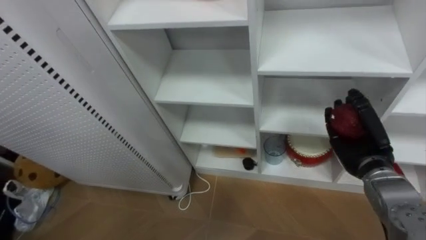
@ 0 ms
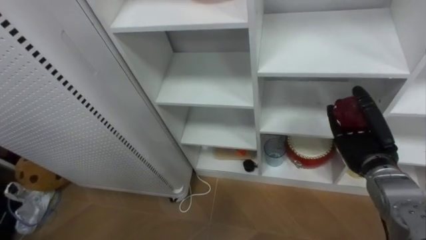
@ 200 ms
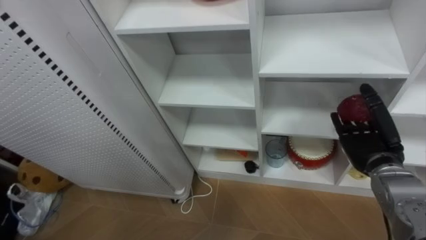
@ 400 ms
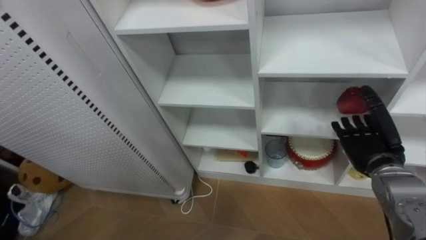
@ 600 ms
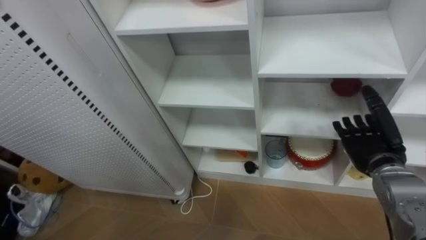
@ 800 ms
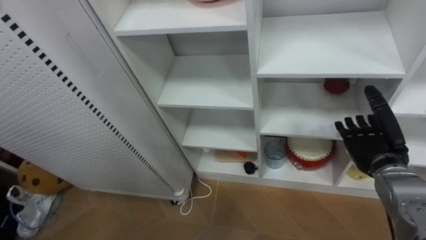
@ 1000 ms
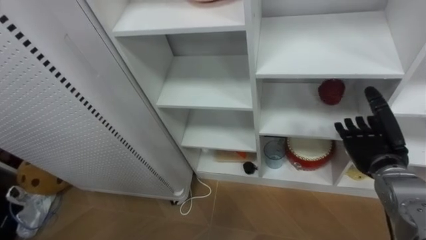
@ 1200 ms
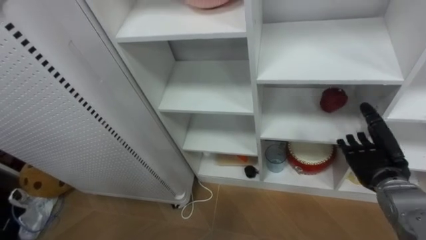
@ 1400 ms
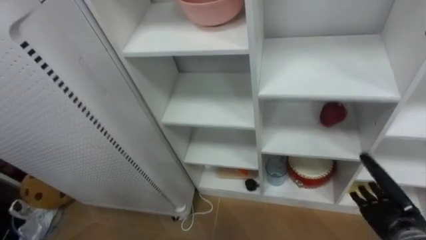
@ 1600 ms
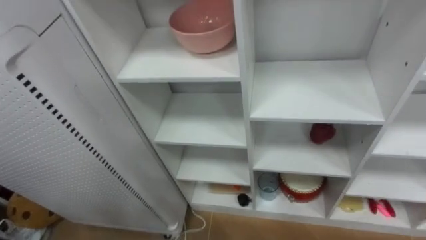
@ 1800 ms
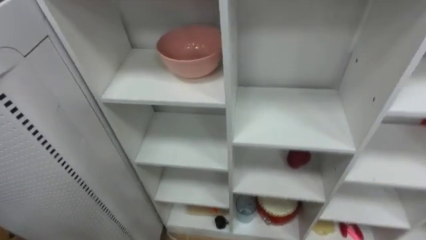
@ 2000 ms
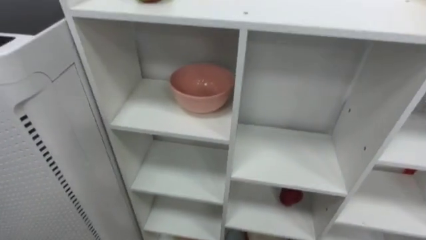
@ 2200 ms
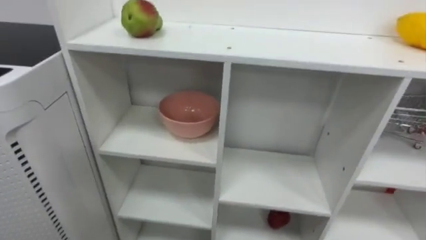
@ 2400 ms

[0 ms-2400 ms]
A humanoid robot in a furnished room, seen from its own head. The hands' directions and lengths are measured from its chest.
Task of the whole recording: Put the apple in the cell in the second column from the left and the second row from the top.
0 ms to 1200 ms: The right hand opens up.

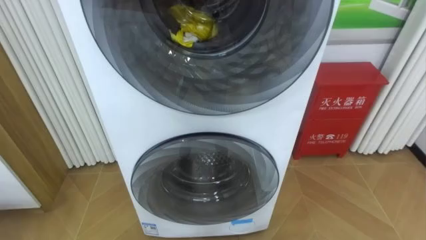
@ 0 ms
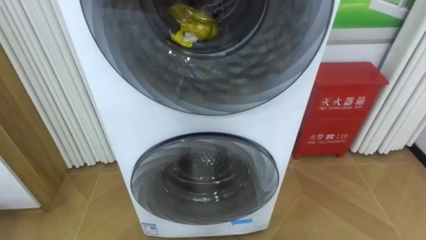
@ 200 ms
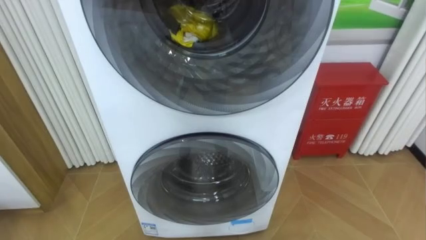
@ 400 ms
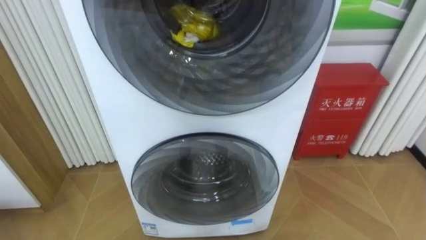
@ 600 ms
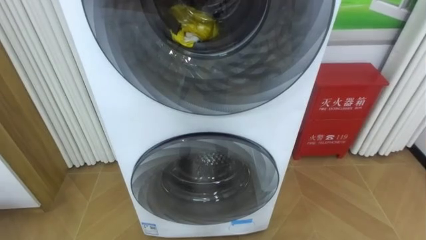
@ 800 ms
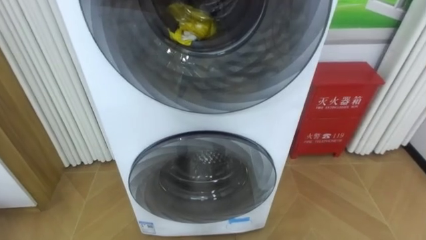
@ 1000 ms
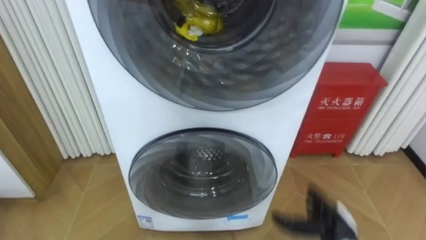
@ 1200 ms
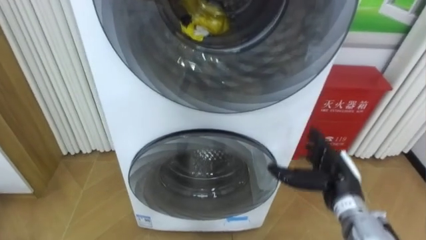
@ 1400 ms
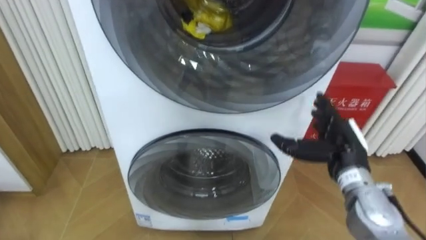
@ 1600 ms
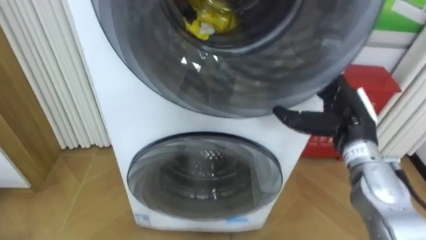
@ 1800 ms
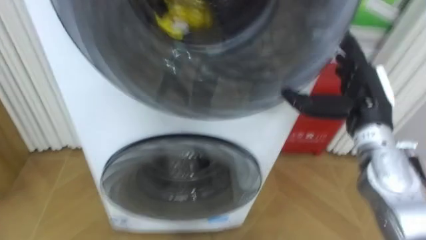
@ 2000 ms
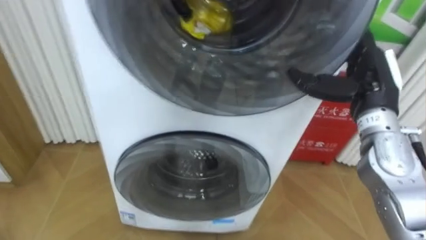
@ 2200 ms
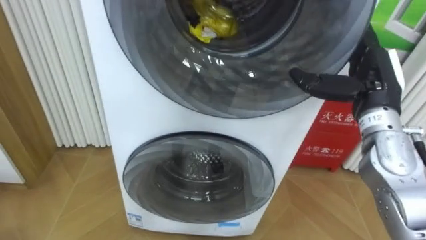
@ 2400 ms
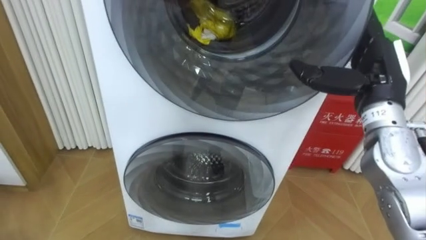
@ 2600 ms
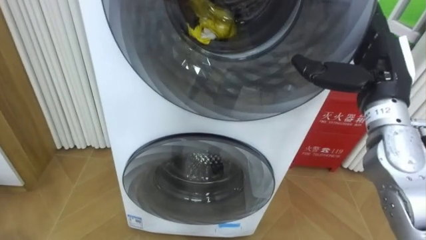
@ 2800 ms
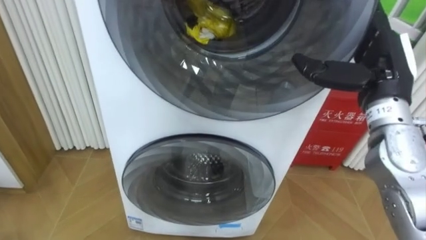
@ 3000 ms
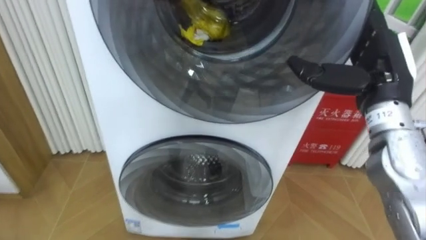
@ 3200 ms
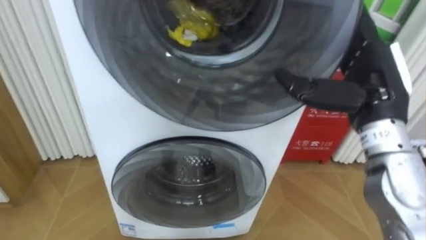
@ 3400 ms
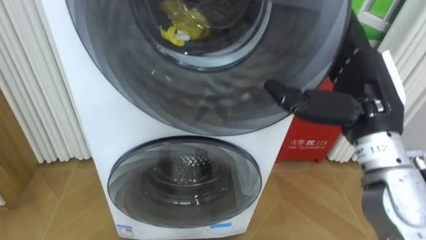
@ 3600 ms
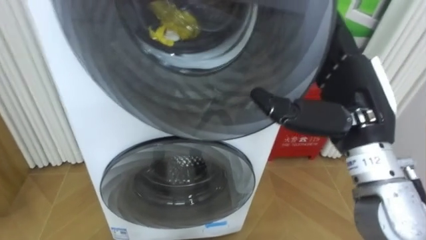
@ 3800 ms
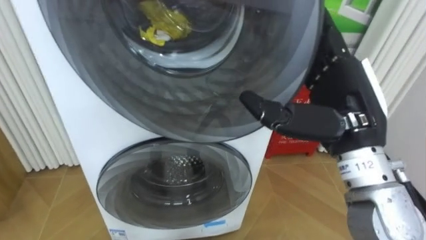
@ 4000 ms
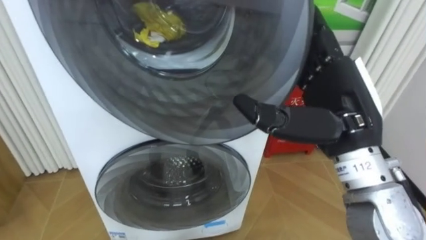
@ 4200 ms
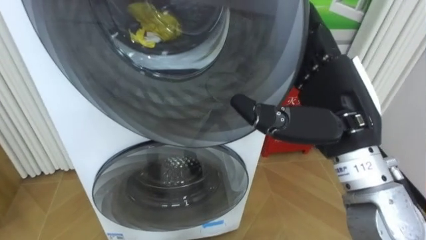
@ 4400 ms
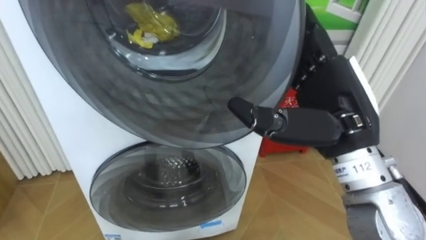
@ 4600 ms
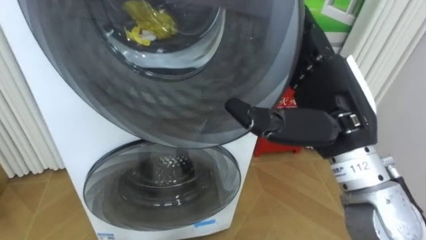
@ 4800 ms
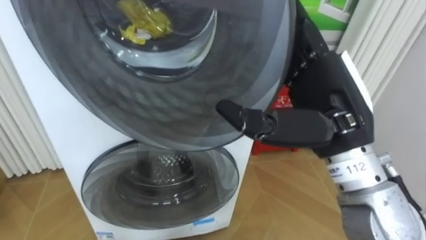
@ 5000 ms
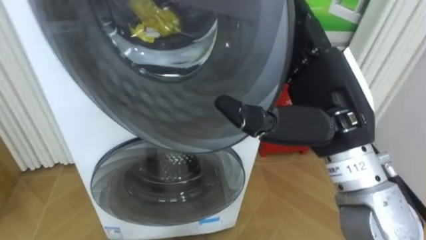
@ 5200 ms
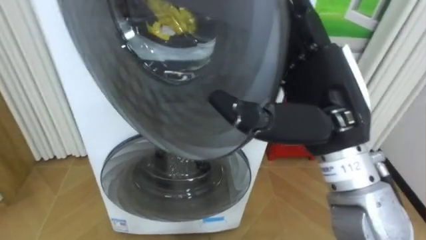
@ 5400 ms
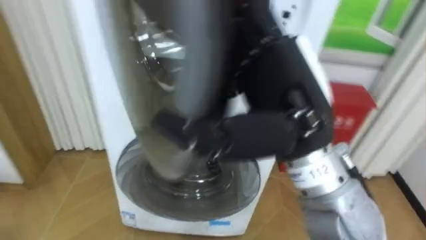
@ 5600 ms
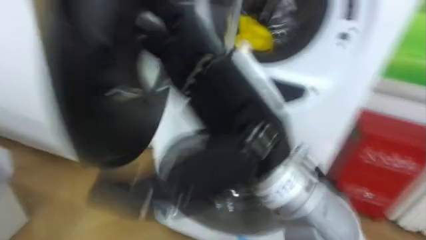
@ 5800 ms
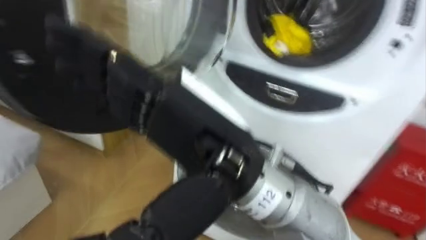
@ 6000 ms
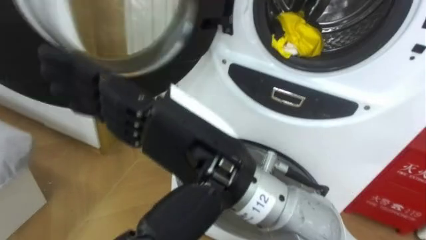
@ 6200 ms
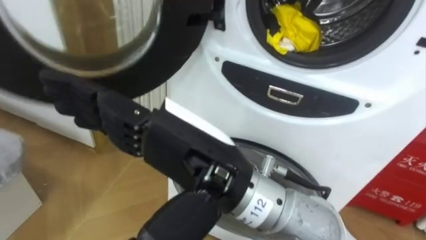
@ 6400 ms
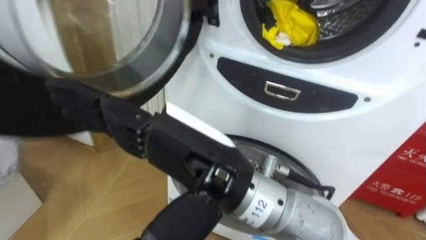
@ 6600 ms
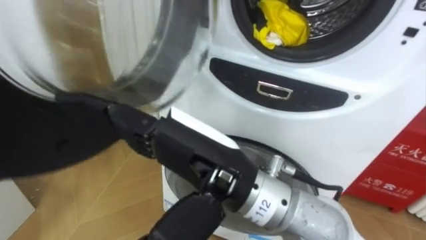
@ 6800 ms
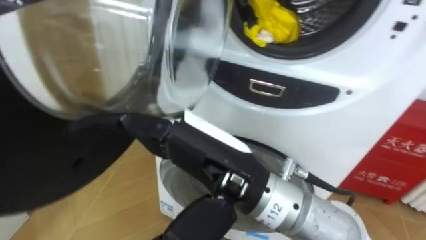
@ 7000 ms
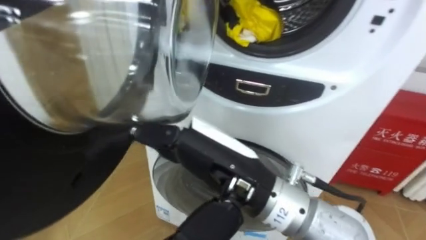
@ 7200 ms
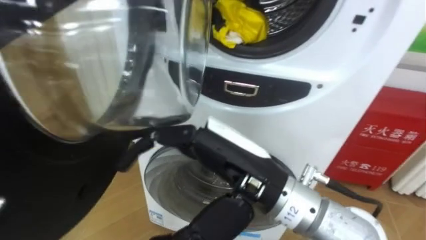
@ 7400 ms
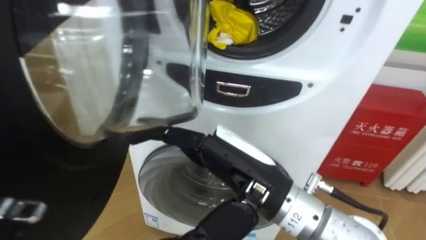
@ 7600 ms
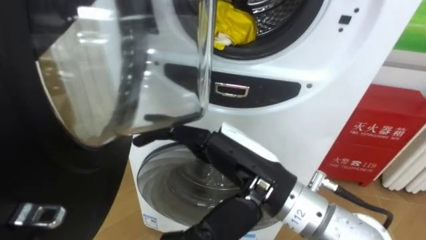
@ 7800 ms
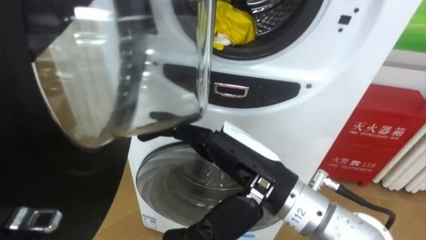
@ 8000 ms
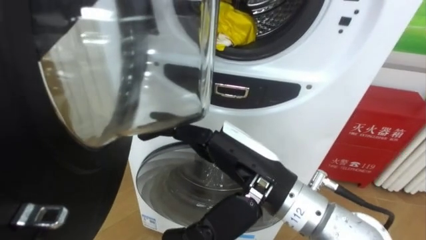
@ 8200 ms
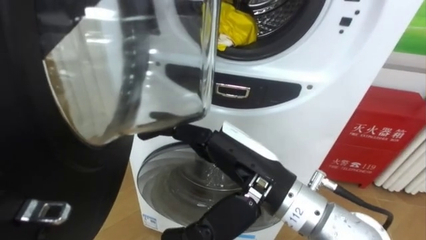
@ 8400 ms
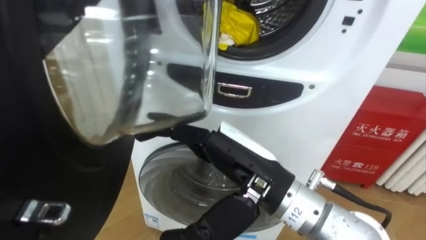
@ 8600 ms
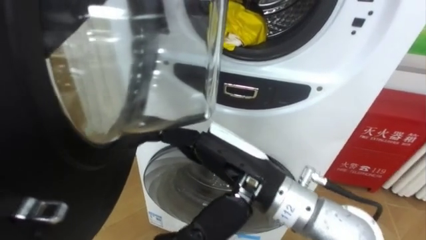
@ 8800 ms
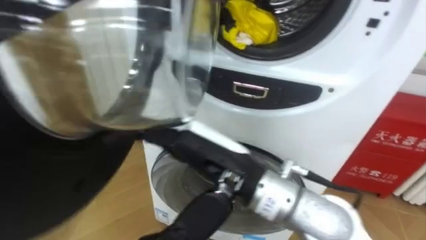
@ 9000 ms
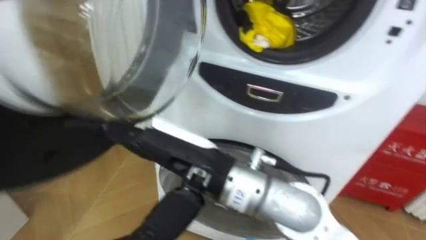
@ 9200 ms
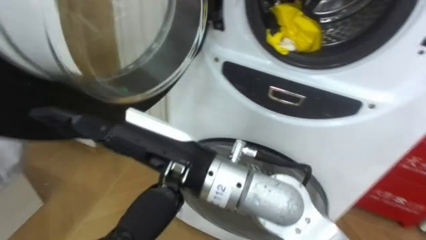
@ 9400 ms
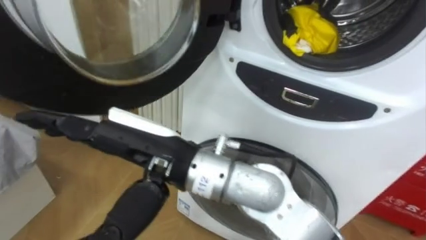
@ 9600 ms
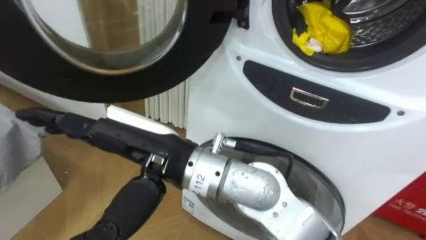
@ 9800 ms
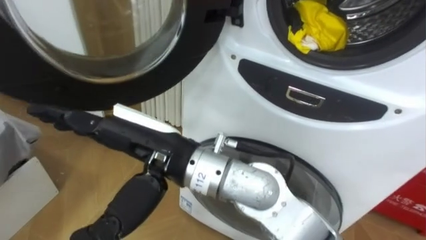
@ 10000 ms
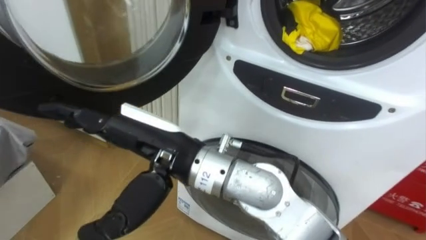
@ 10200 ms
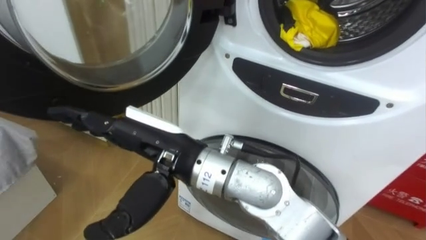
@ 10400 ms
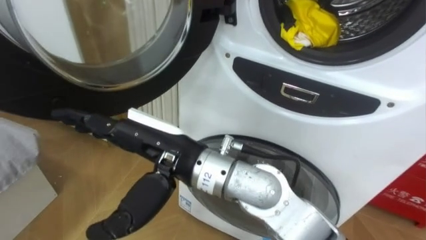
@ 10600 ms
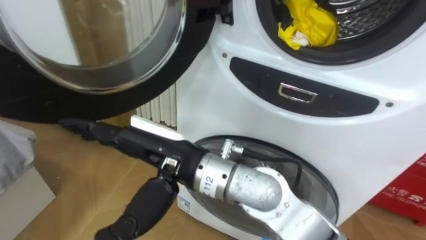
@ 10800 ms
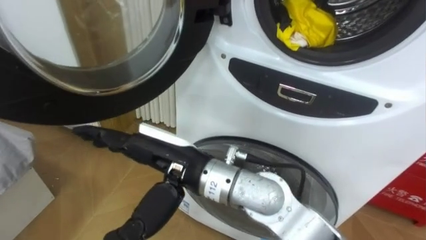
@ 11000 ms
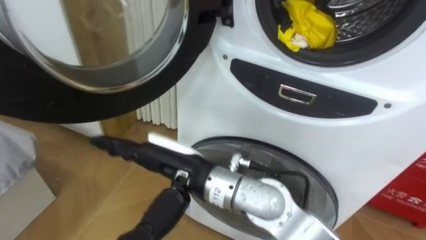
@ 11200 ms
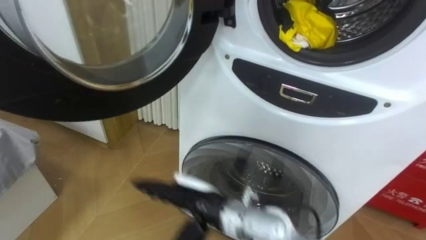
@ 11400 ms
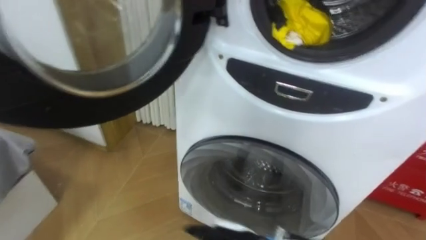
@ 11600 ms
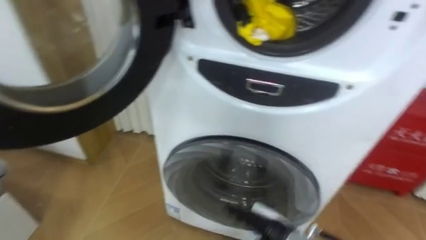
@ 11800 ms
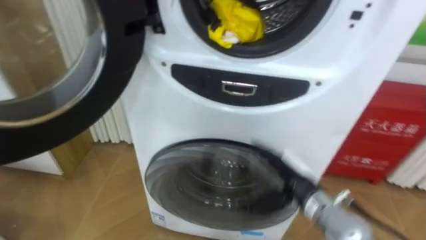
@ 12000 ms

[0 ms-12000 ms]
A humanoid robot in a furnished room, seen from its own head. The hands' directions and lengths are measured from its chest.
Task of the whole recording: Open the washing machine door, take out the yellow clothes, place them in the box on the right, and close the washing machine door.
1600 ms to 3000 ms: The right hand shifts some 15 cm upward.
3000 ms to 4400 ms: The right hand shifts approximately 10 cm to the left and backward.
4400 ms to 6000 ms: The right hand heads to the left and backward, covering approximately 15 cm.
6000 ms to 7600 ms: The right hand shifts roughly 10 cm downward.
9000 ms to 10400 ms: The right hand heads to the left, covering approximately 10 cm.

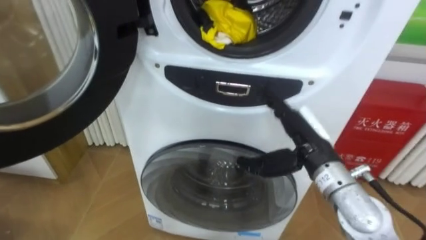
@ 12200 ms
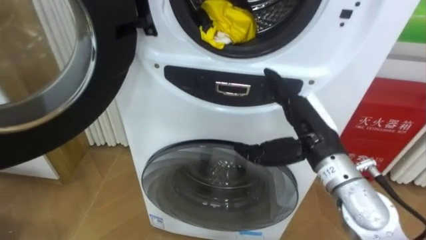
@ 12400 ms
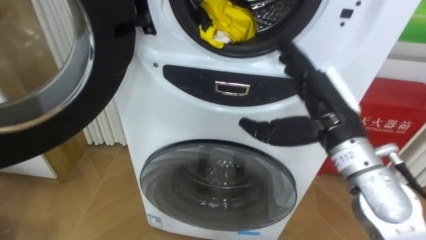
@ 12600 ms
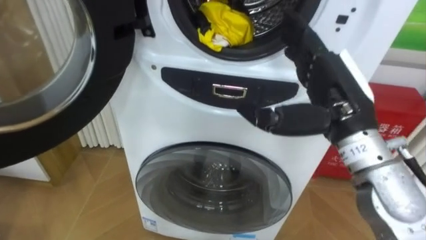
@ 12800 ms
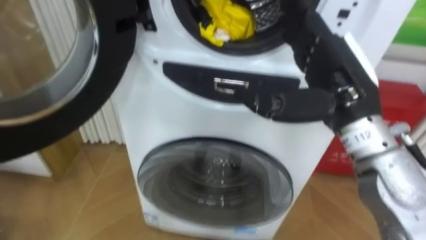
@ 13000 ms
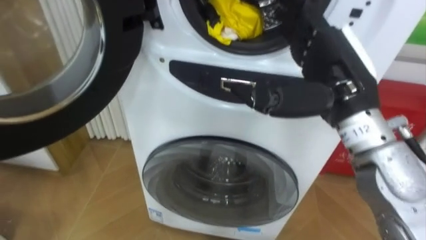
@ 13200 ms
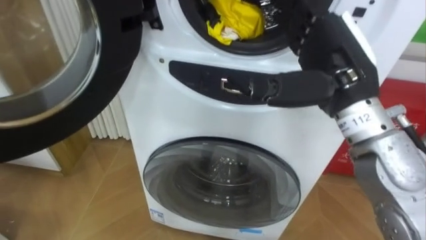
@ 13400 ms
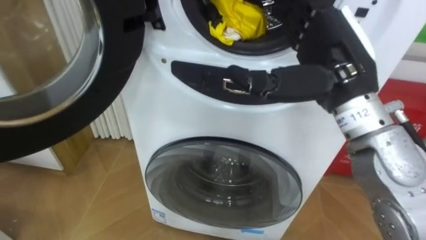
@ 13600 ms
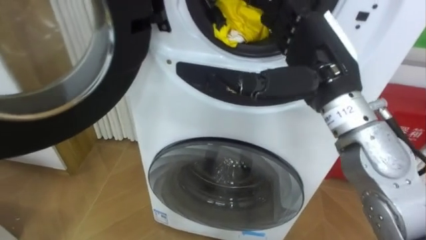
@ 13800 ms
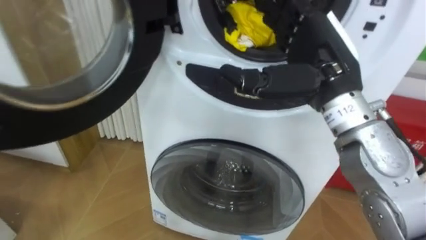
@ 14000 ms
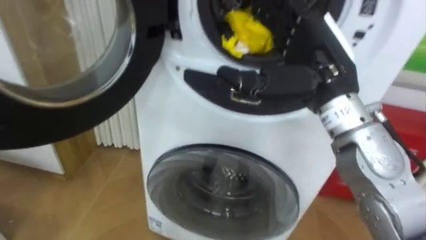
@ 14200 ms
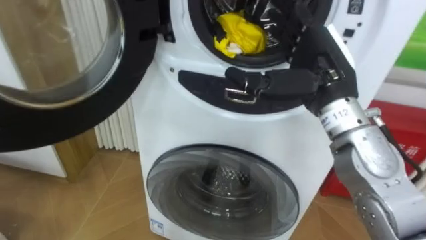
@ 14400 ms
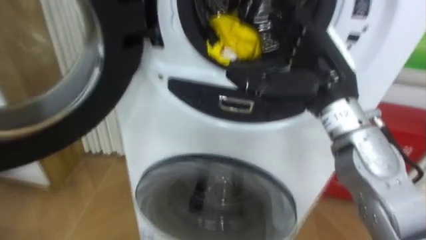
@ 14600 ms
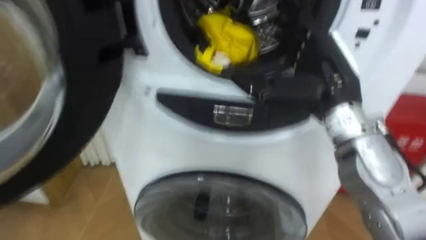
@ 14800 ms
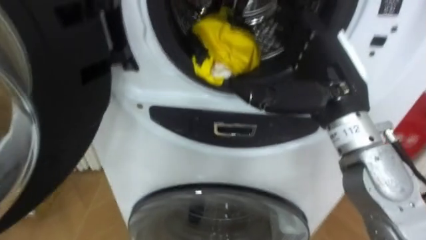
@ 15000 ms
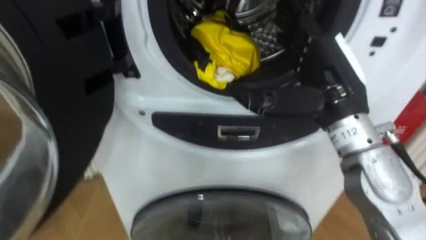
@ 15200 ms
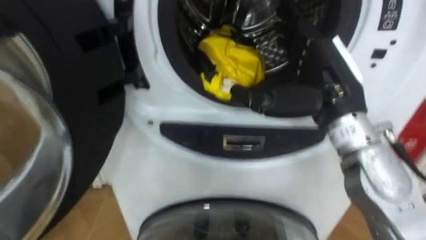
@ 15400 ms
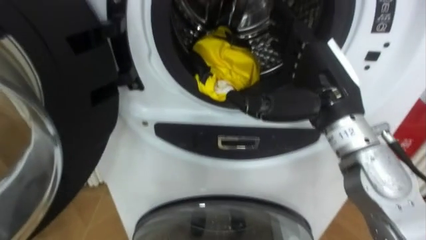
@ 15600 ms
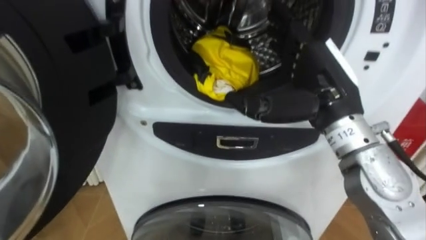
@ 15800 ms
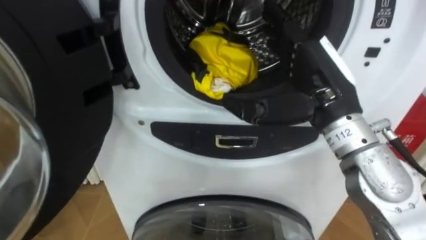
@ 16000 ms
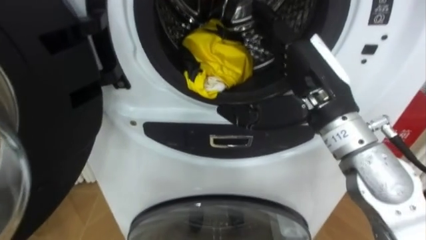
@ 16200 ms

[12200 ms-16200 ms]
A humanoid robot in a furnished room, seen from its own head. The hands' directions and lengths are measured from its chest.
Task of the whole recording: Open the washing machine door, take out the yellow clothes, place them in the box on the right, and close the washing machine door.
12200 ms to 13600 ms: The right hand heads upward, covering roughly 15 cm.
